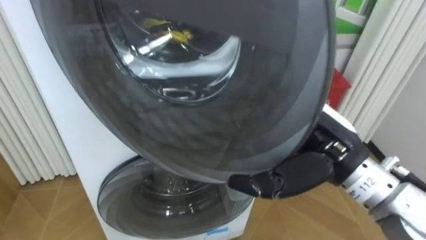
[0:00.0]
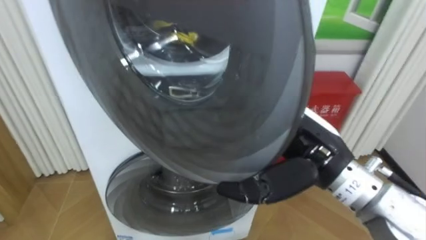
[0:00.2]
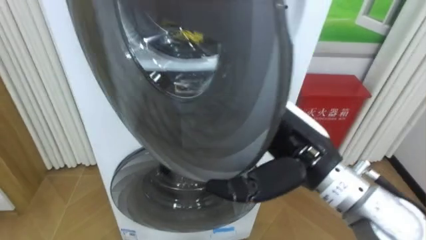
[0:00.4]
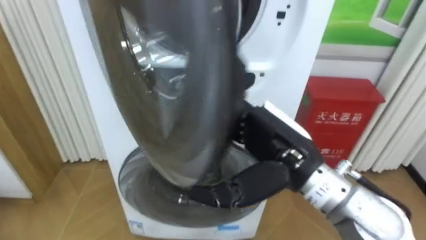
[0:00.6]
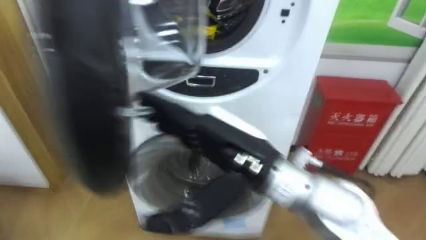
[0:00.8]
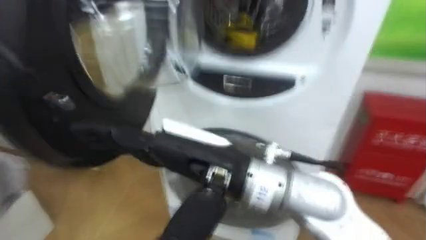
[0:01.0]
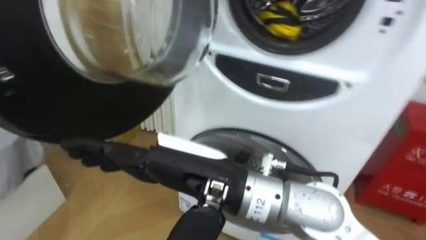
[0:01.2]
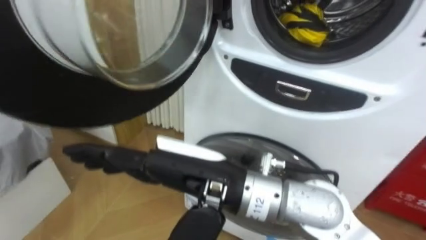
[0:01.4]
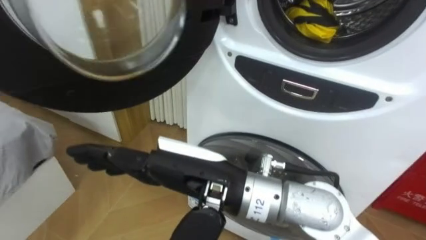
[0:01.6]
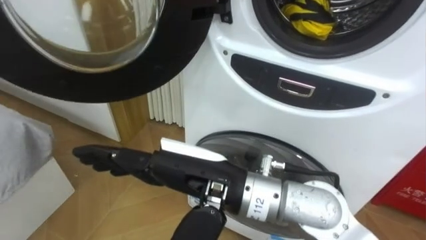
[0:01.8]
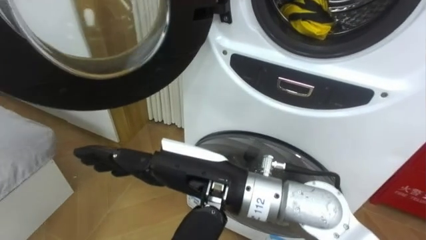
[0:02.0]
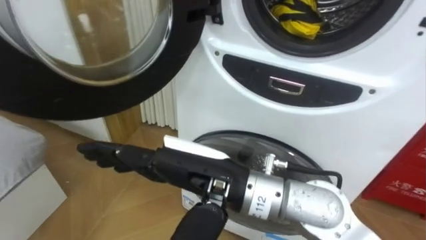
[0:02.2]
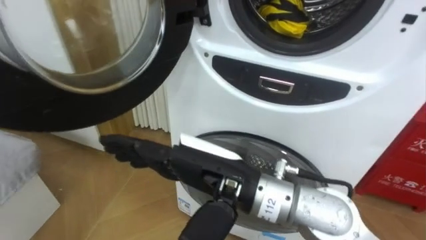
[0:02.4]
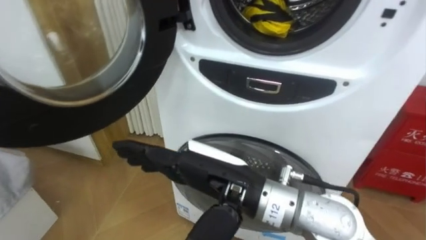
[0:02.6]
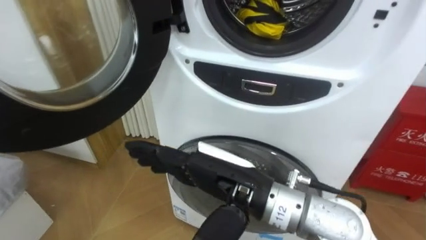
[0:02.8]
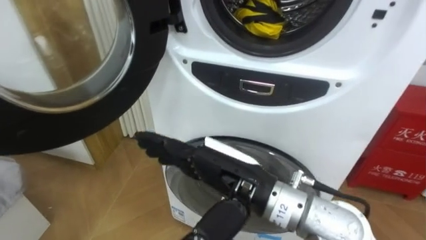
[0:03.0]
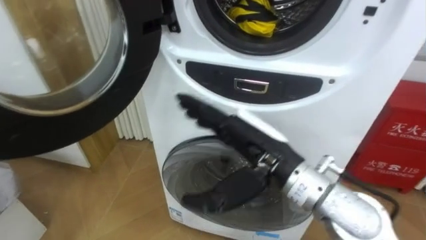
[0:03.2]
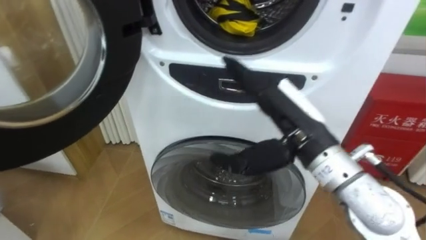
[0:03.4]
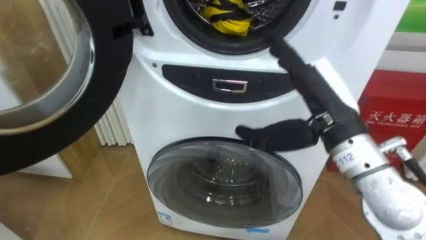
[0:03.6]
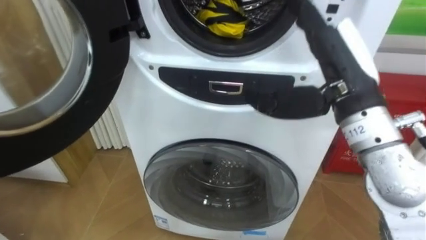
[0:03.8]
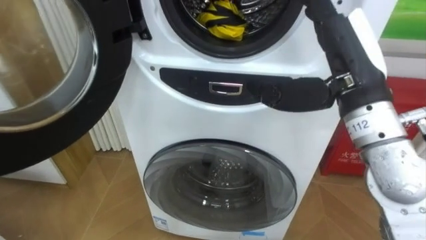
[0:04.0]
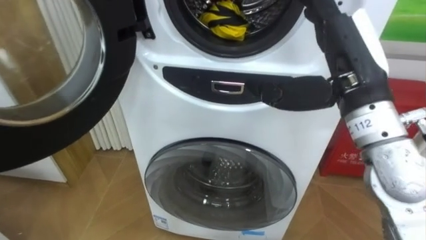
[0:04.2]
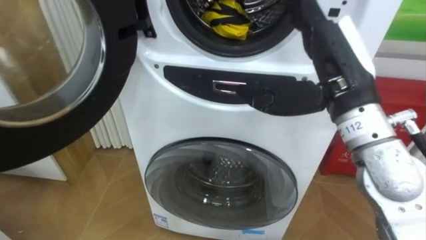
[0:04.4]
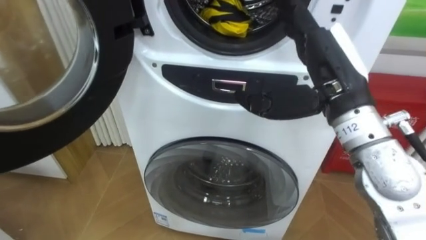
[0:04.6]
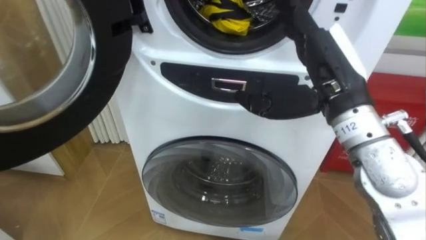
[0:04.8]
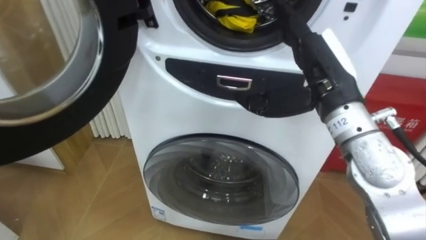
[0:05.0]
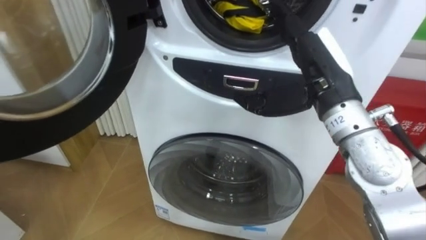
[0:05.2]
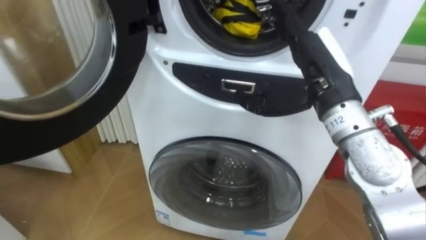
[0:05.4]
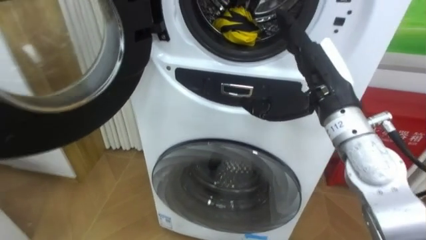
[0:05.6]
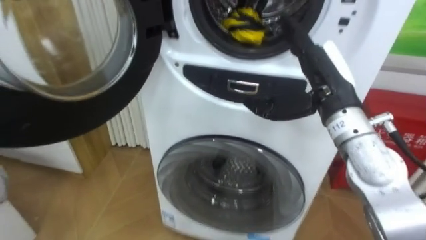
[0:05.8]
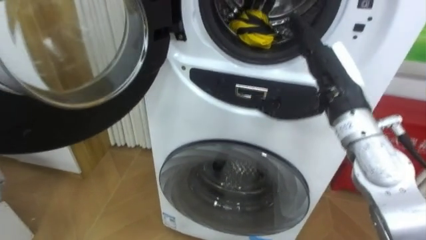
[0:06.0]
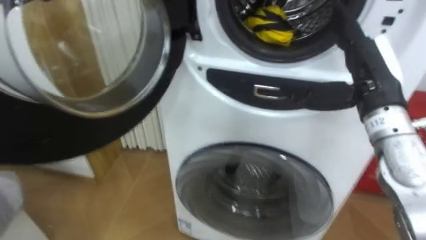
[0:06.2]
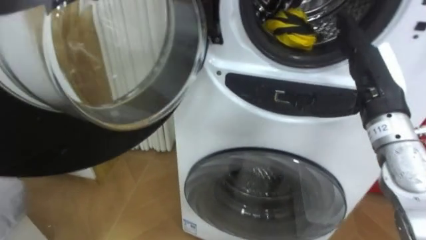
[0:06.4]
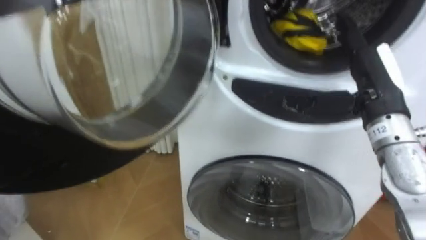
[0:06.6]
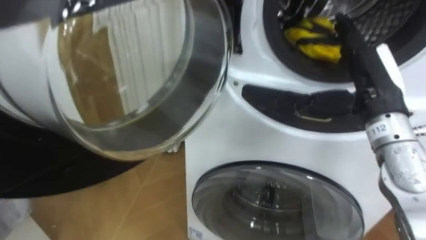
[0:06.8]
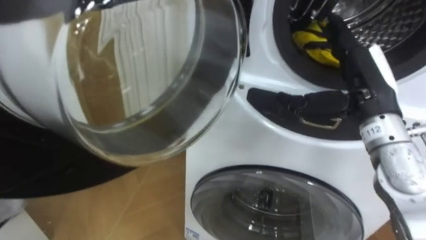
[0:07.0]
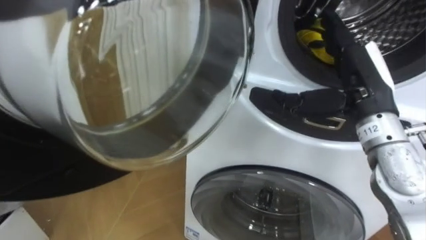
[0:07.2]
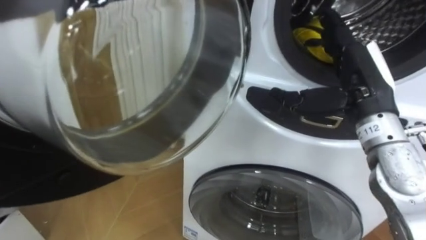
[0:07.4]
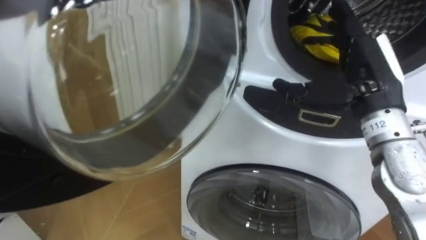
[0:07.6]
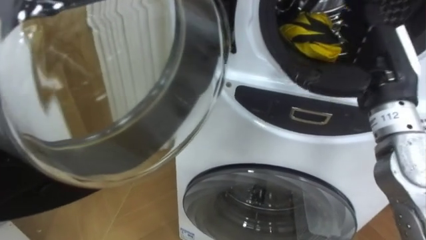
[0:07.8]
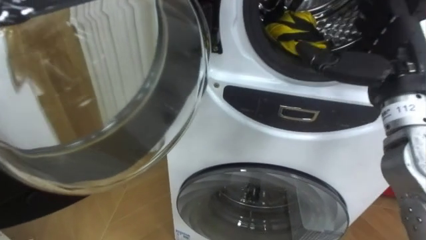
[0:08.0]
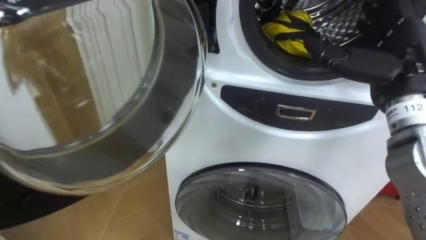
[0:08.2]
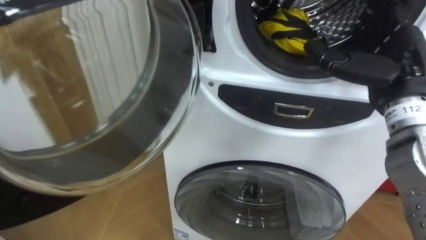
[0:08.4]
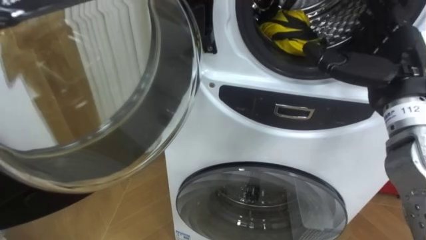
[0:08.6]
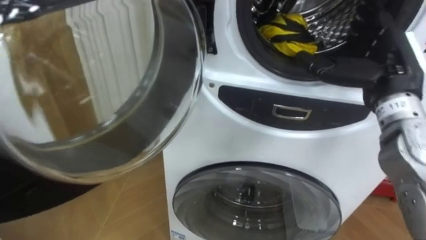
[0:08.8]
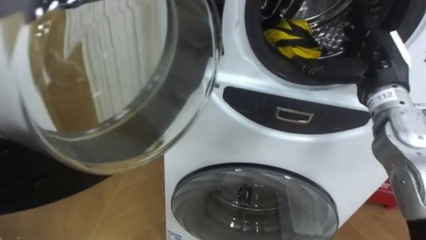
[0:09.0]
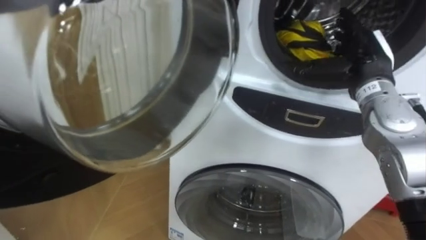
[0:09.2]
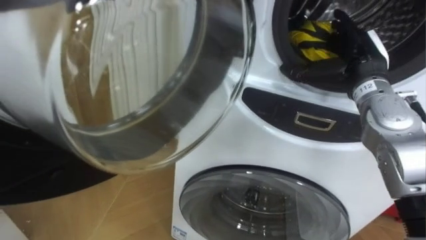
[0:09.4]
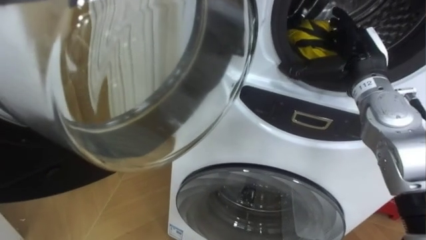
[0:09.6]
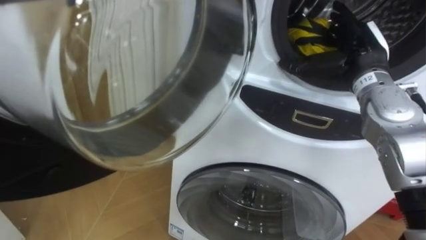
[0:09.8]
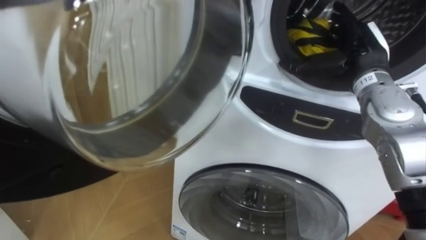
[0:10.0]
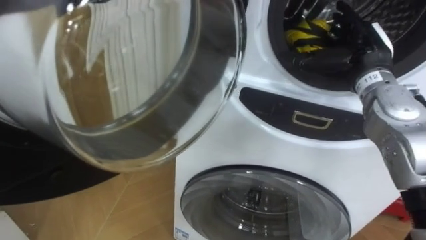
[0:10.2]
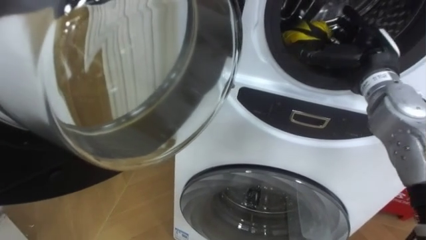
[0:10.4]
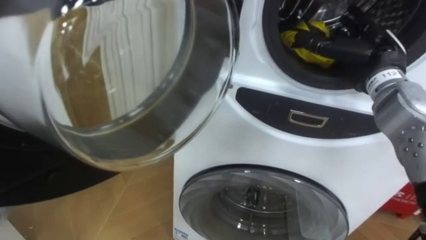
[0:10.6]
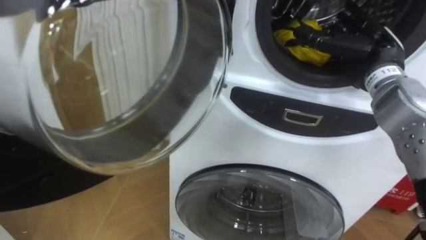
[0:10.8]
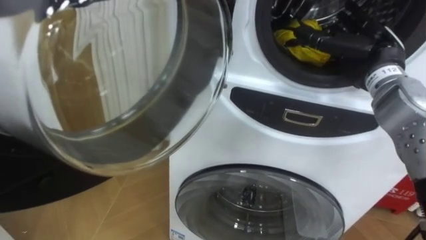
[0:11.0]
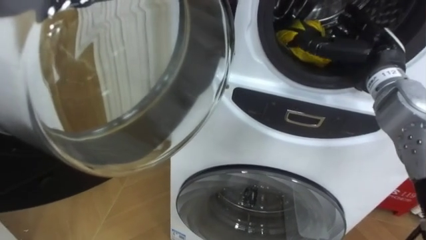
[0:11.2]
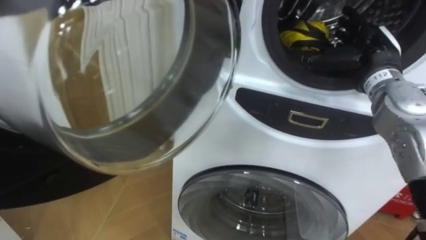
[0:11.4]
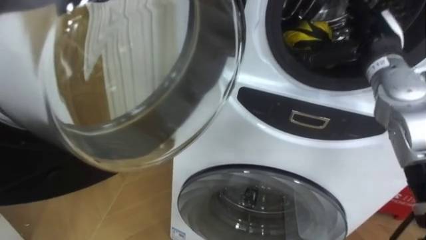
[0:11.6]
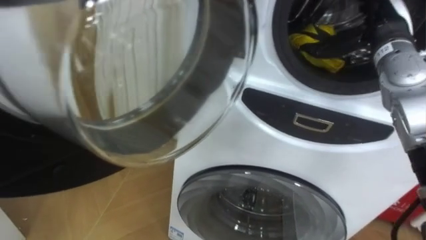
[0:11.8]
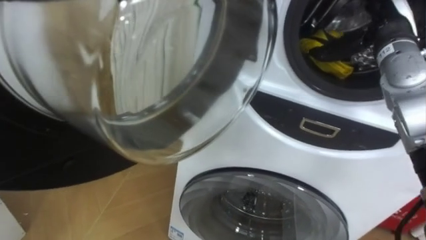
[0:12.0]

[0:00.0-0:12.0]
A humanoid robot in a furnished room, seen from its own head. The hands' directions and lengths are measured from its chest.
Task of the whole recording: Open the washing machine door, take out the yellow clothes, place them in the box on the right, and close the washing machine door.
0:00.0 to 0:01.6: The right hand travels to the left by approximately 15 cm.
0:01.6 to 0:03.0: The right hand changes place by roughly 5 cm.
0:03.0 to 0:04.4: The right hand heads to the right, upward and forward, covering roughly 20 cm.
0:04.4 to 0:06.0: The right hand shifts by some 5 cm.
0:07.6 to 0:09.0: The right hand moves some 5 cm.

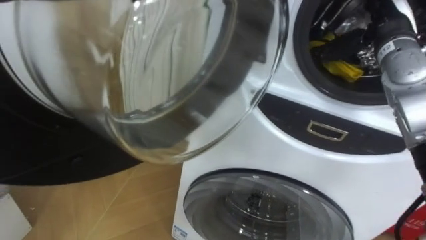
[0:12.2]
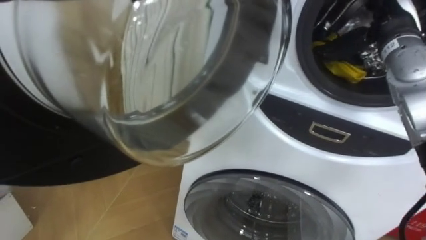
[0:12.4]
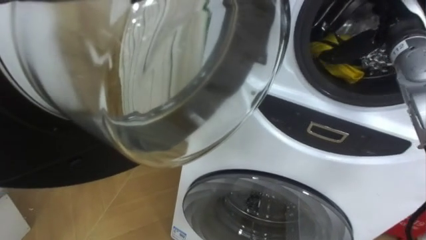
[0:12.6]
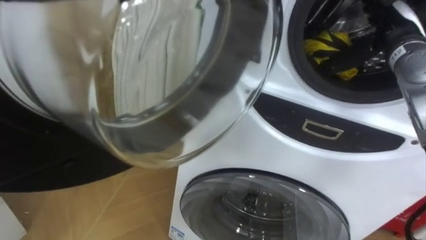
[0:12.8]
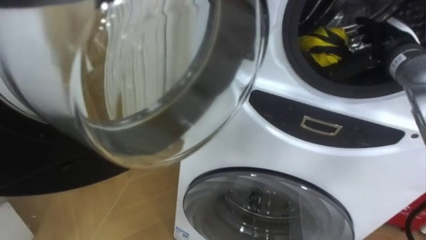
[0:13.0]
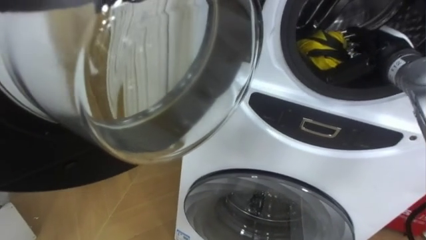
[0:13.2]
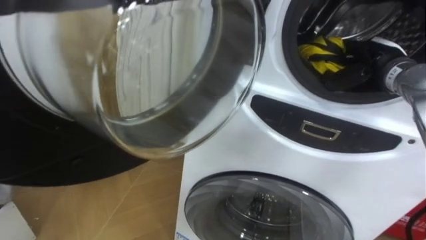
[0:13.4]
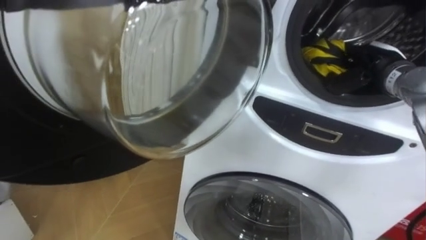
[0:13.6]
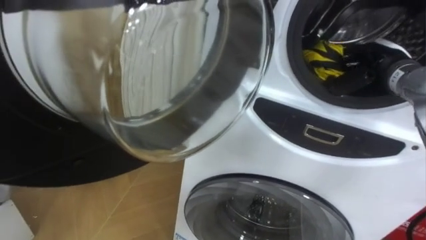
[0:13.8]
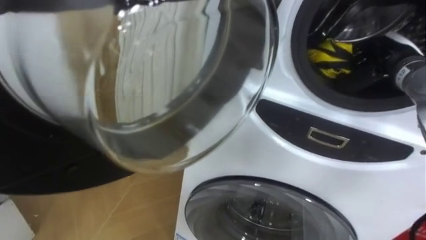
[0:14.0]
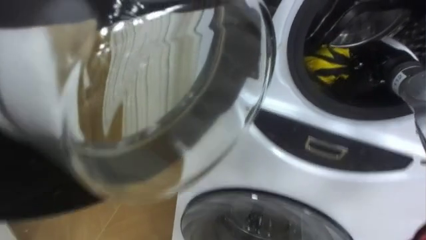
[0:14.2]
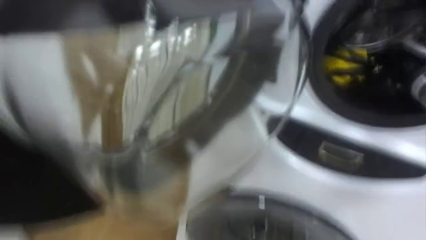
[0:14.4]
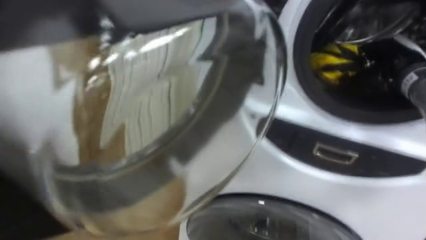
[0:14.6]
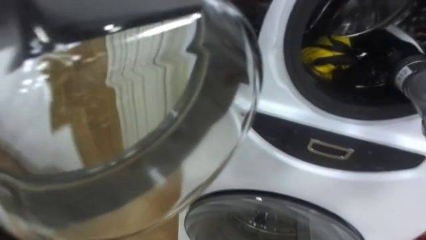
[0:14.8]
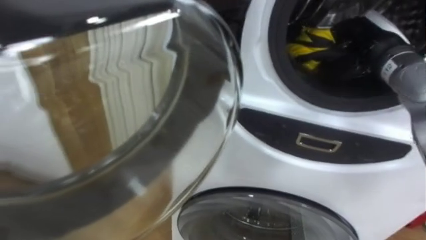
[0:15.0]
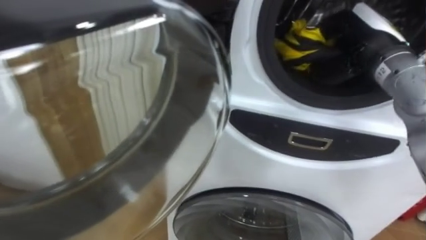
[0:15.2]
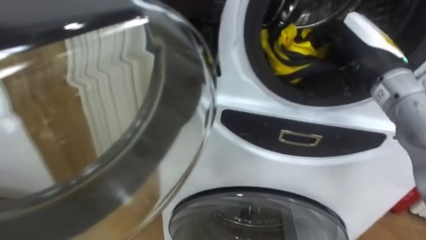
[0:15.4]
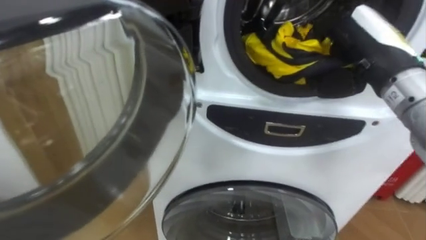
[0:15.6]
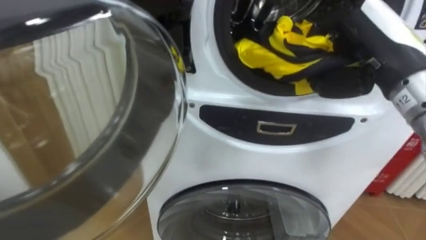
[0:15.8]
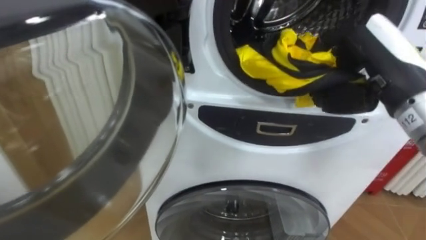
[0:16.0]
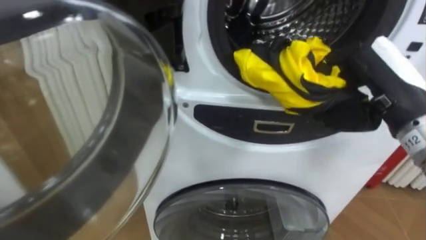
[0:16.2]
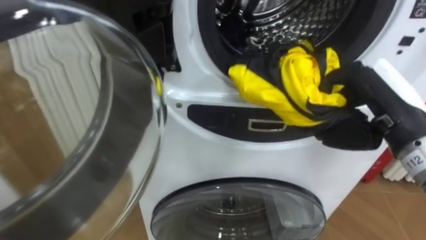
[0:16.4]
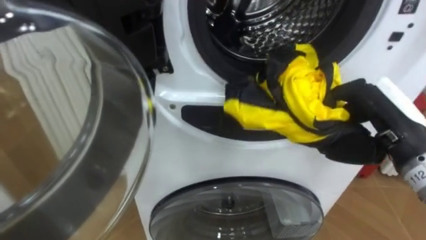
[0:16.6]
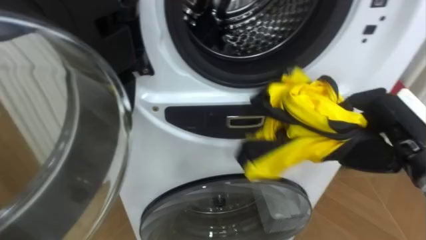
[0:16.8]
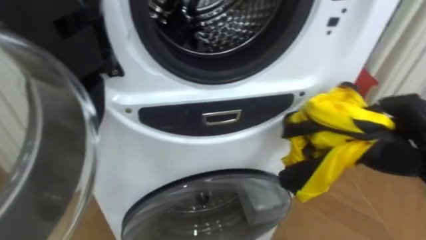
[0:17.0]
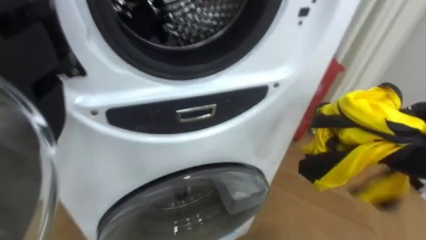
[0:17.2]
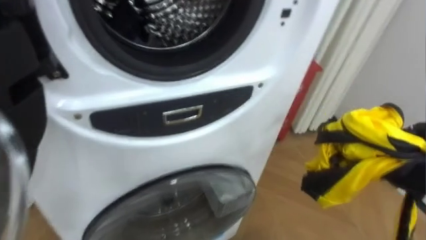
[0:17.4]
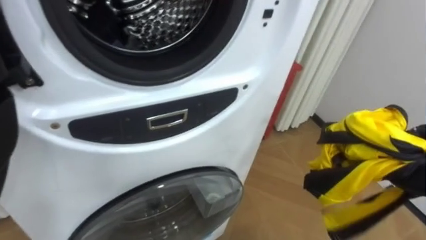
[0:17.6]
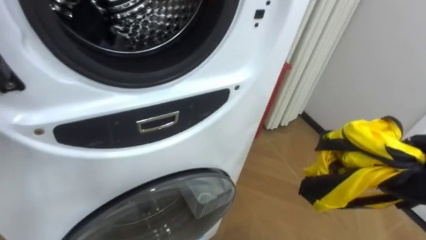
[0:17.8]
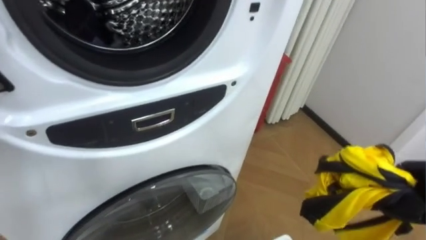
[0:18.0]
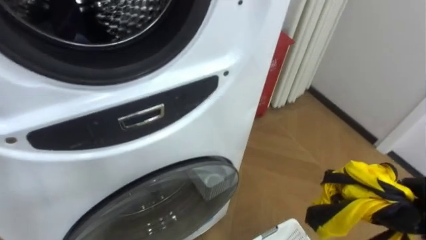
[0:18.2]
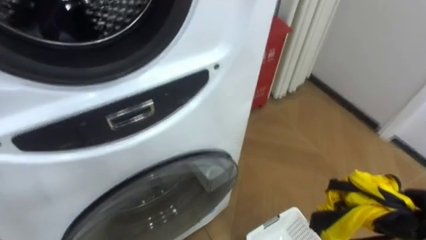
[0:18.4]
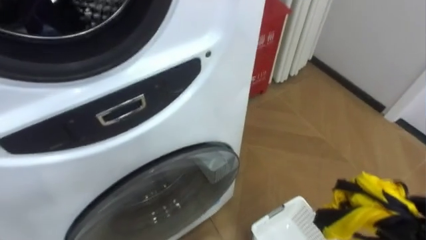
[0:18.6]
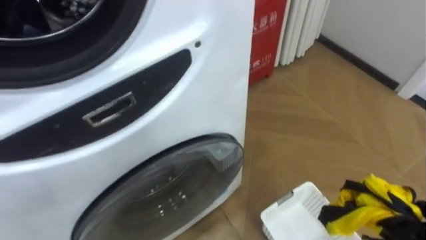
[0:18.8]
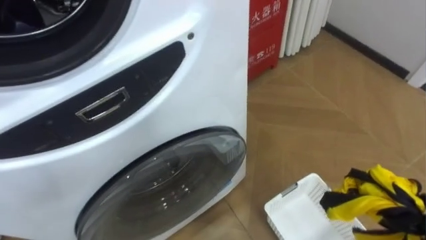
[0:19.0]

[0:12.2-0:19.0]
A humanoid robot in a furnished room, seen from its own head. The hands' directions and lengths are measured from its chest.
Task of the whole recording: Open the washing machine door, take out the yellow clothes, place them in the box on the right, and close the washing machine door.
0:12.2 to 0:13.6: The right hand travels downward by approximately 10 cm.
0:13.6 to 0:15.0: The right hand travels upward by roughly 5 cm, and closes its fingers.
0:15.0 to 0:16.2: The right hand shifts roughly 10 cm backward.
